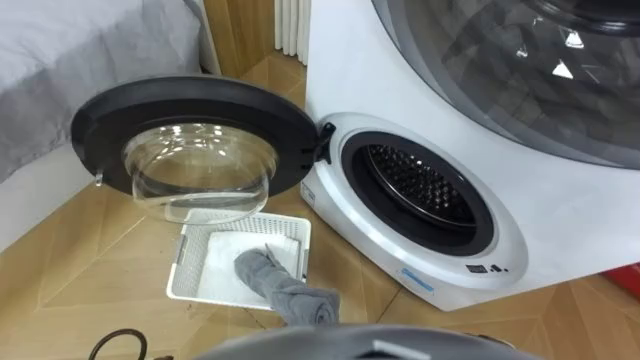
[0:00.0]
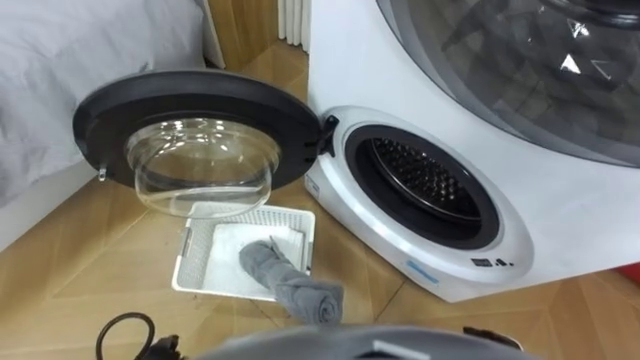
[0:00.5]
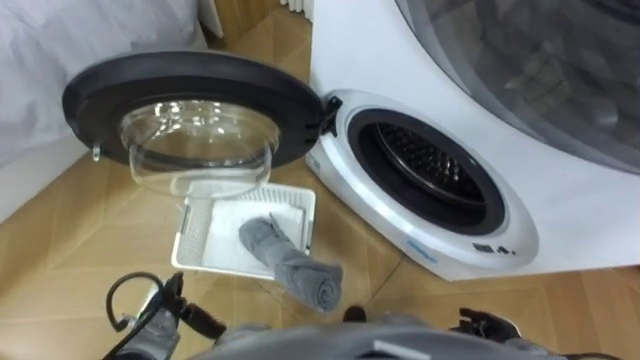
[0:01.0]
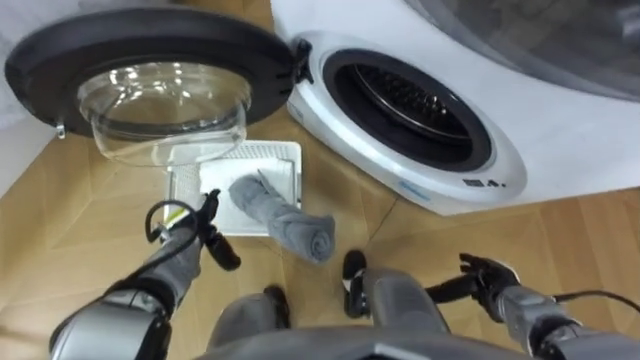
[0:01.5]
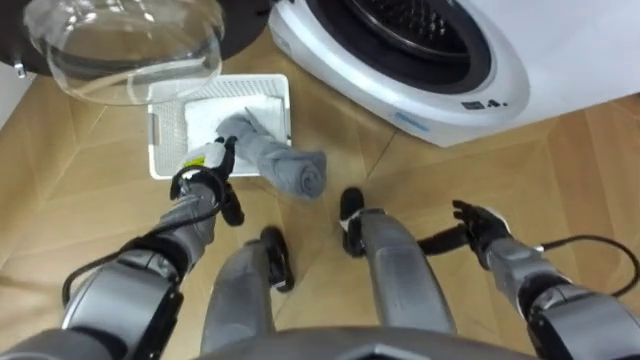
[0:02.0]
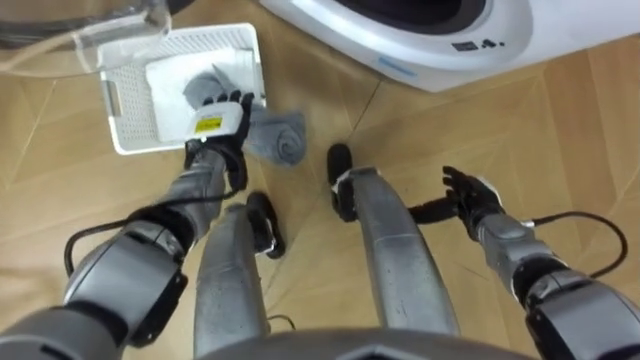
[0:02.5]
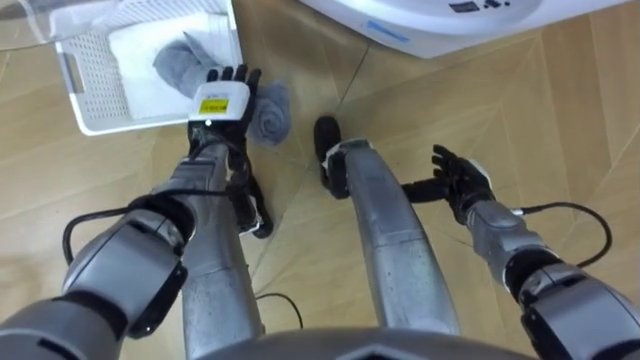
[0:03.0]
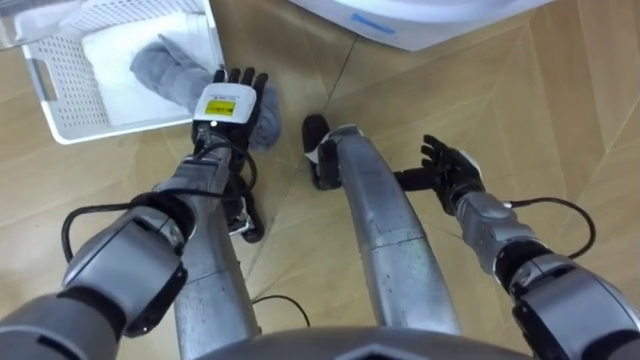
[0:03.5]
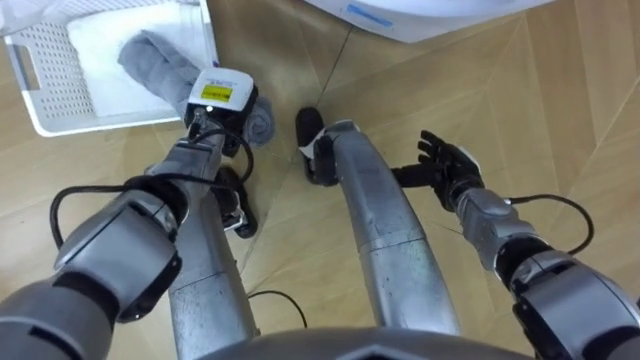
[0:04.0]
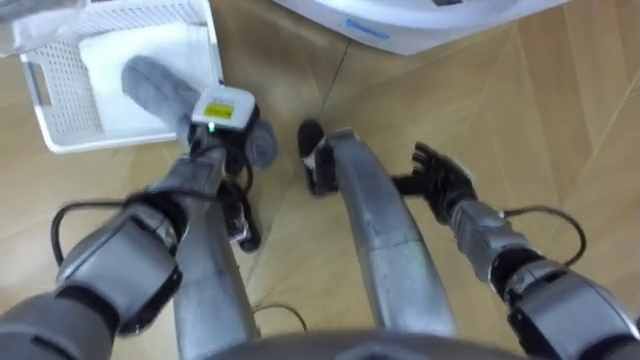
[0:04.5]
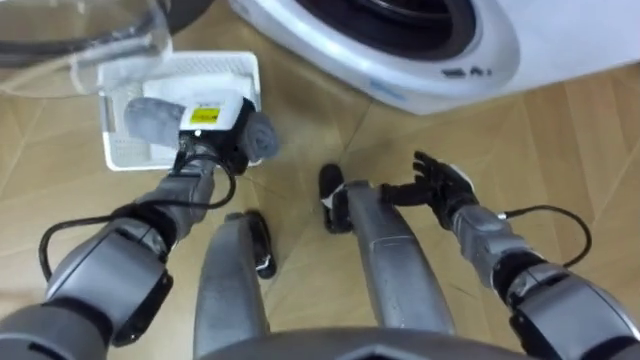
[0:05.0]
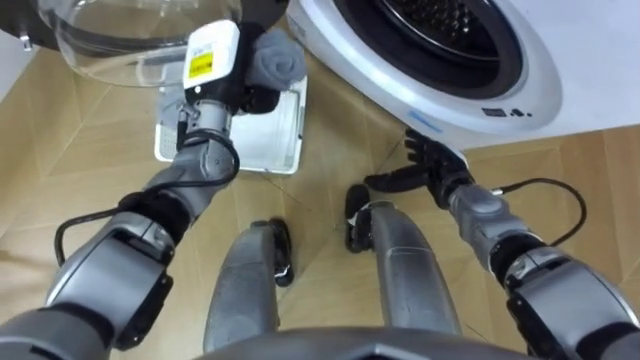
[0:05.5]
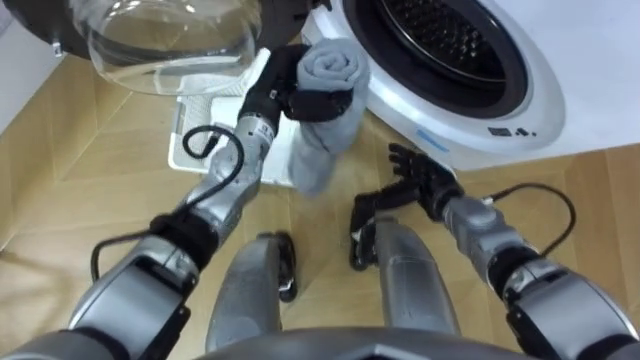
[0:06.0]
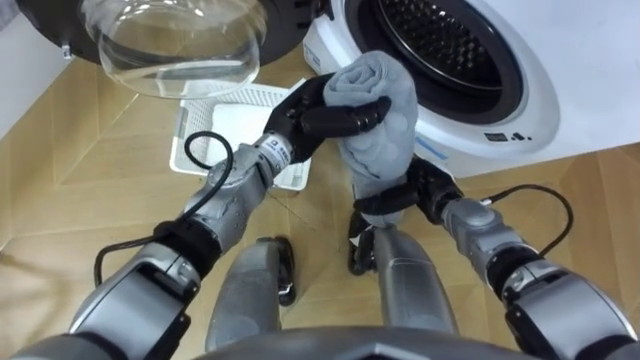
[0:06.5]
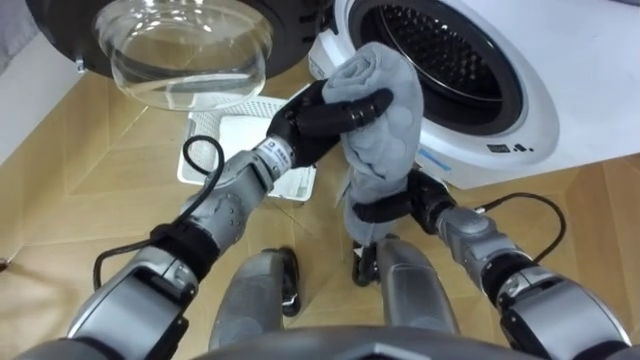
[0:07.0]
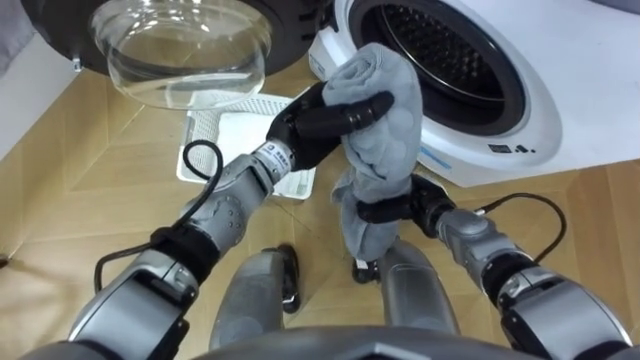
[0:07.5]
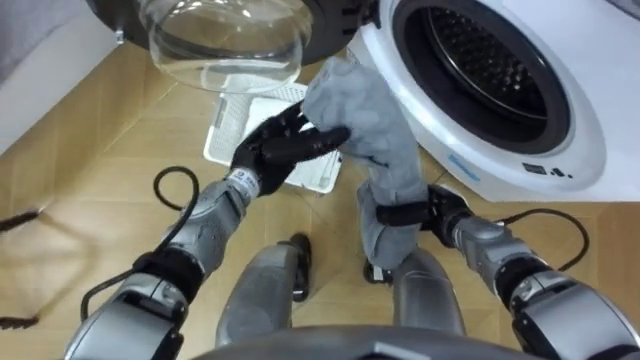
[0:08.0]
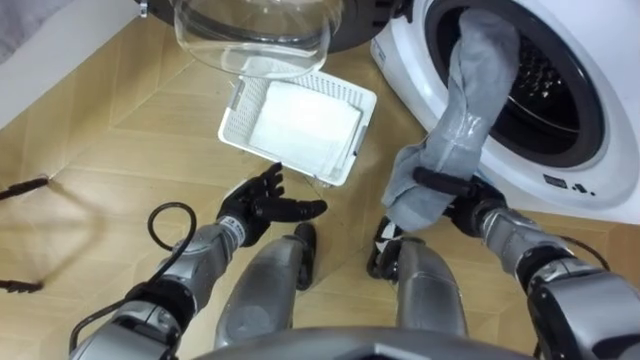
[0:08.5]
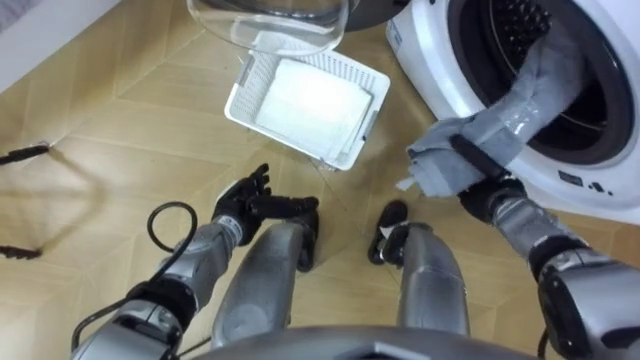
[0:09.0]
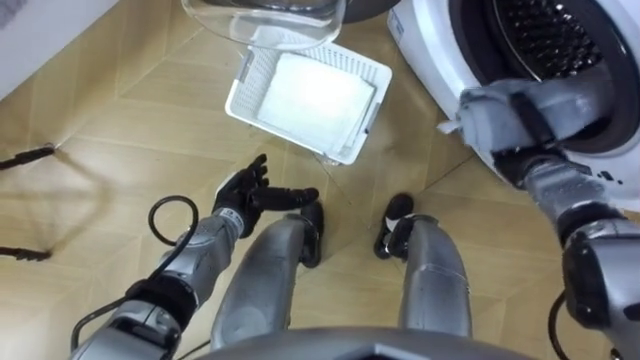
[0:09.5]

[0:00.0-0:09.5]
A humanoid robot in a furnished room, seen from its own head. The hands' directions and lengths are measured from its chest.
Task of the whole recording: Take the towel from the basket and put it into the washing machine.
0:02.0 to 0:04.0: The left hand moves upward and forward, approximately 10 cm, and closes; the right hand travels forward and to the left by about 10 cm.
0:04.0 to 0:05.5: The left hand goes some 5 cm upward.
0:05.5 to 0:07.5: The right hand changes place by roughly 5 cm, and closes. The left hand goes about 15 cm to the right and backward.
0:07.5 to 0:09.5: The left hand moves downward, to the left and backward, approximately 20 cm, and opens. Meanwhile the right hand moves to the right, some 15 cm.

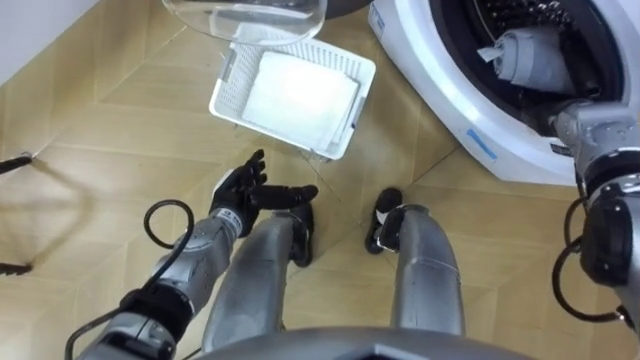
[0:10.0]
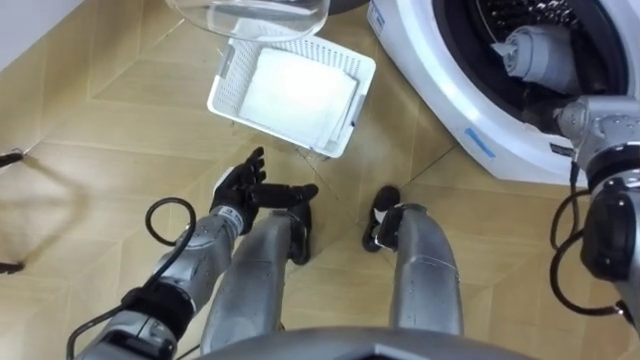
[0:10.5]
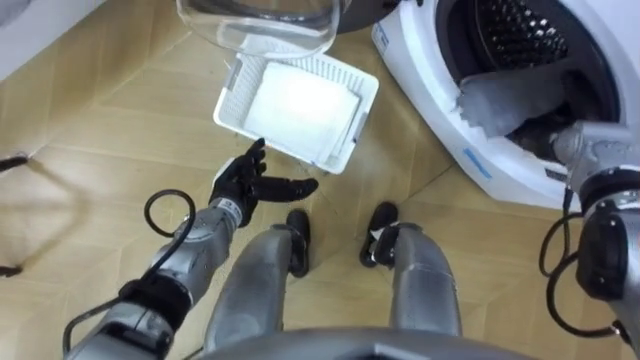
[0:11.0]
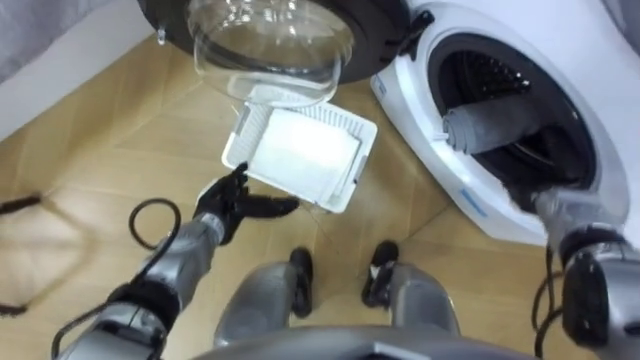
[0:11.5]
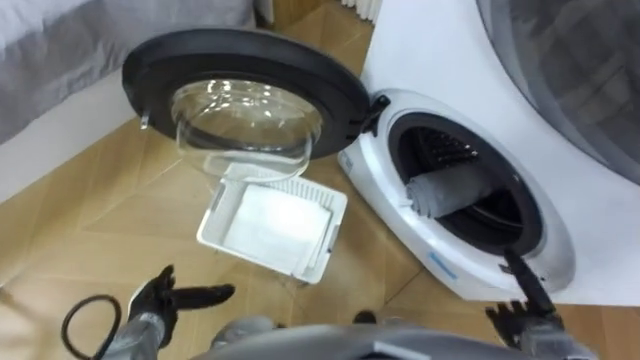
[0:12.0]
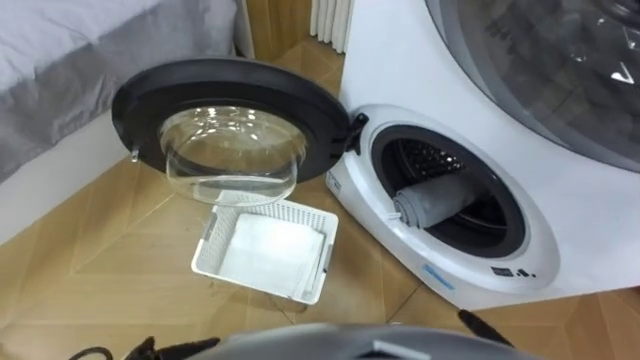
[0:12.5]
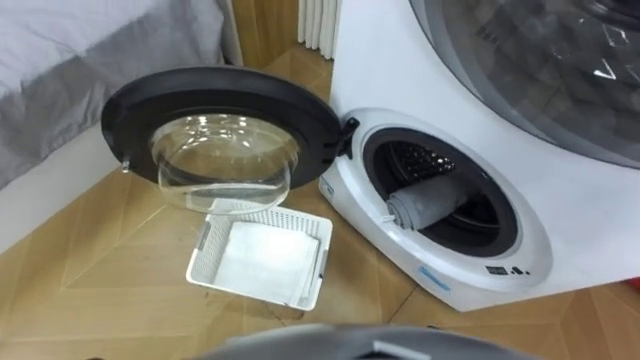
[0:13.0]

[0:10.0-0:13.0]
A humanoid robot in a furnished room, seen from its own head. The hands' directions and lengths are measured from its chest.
Task of the whole recording: Take the towel from the basket and put it into the washing machine.
0:10.0 to 0:11.5: The right hand goes some 15 cm backward and downward.

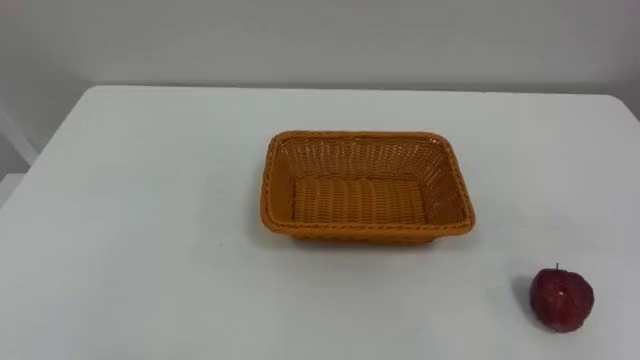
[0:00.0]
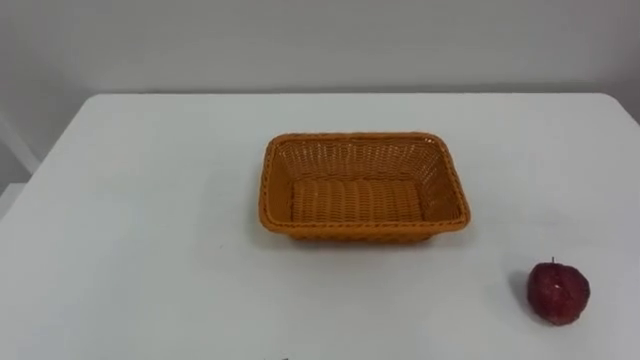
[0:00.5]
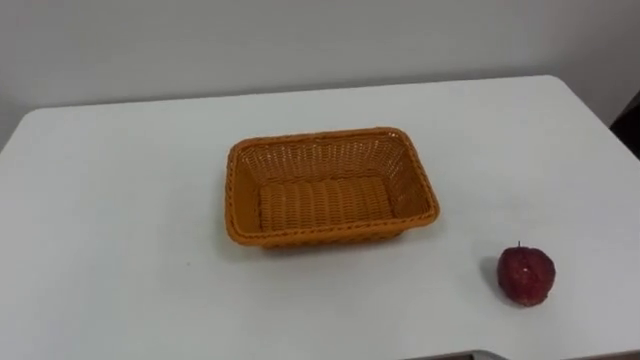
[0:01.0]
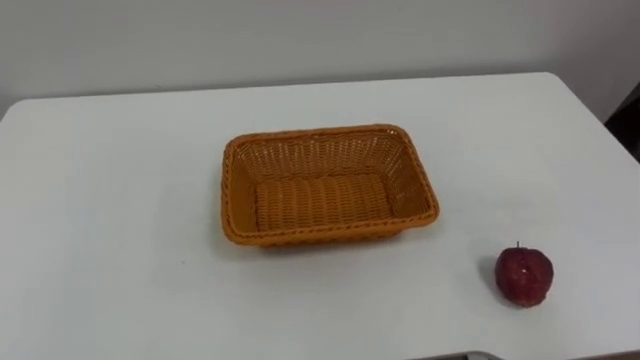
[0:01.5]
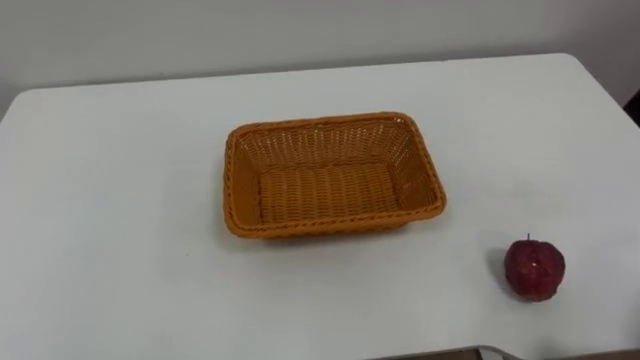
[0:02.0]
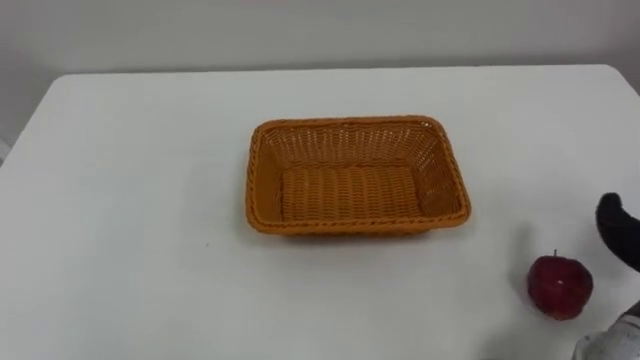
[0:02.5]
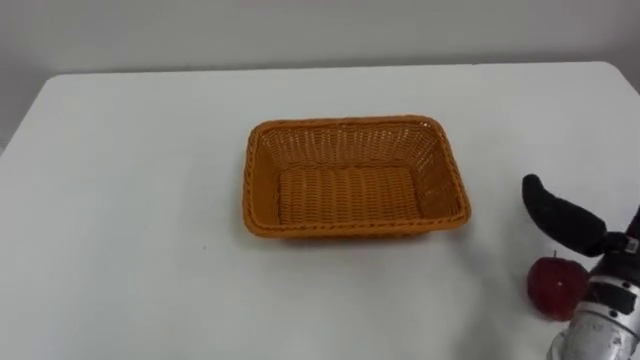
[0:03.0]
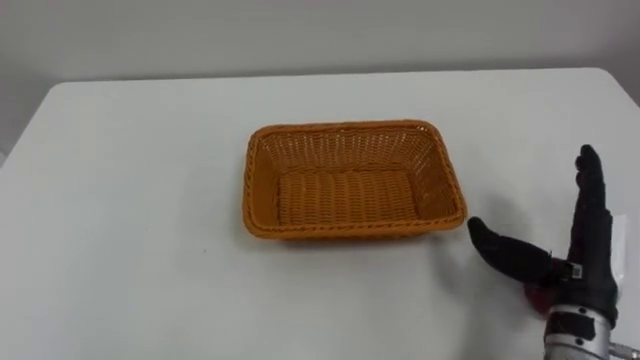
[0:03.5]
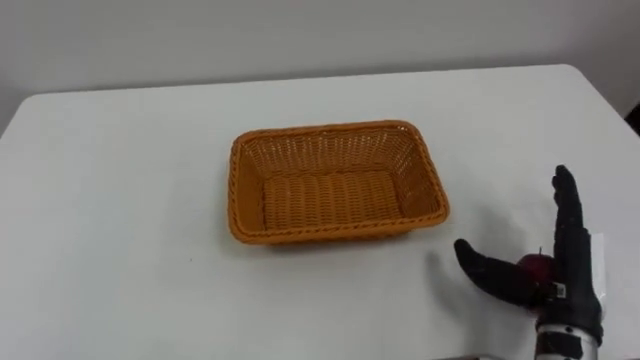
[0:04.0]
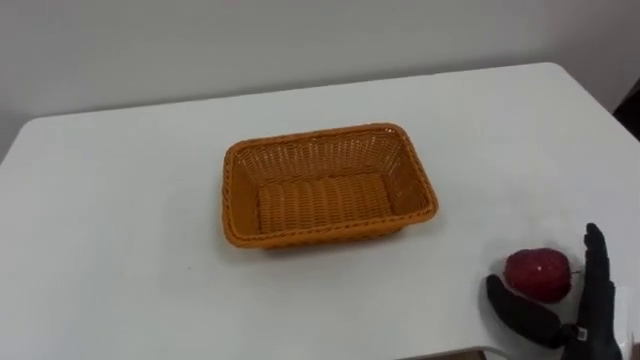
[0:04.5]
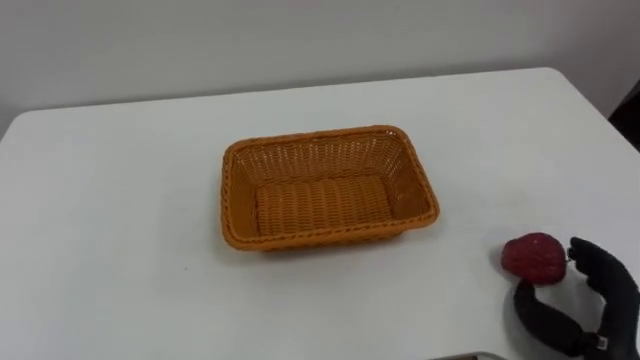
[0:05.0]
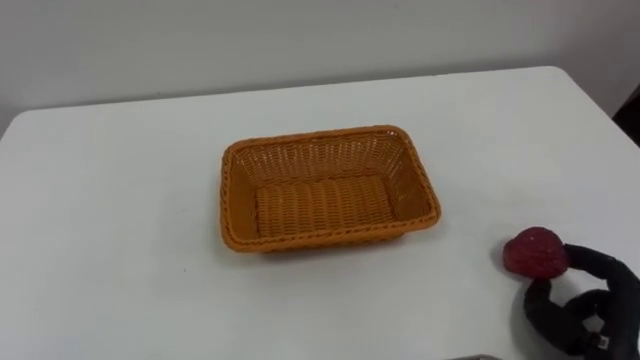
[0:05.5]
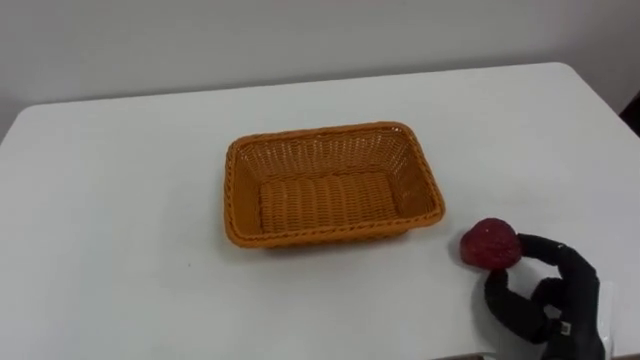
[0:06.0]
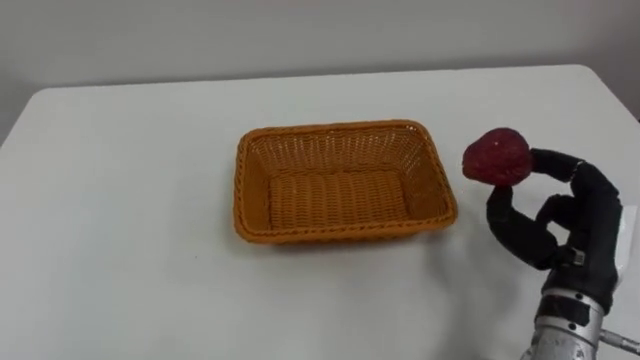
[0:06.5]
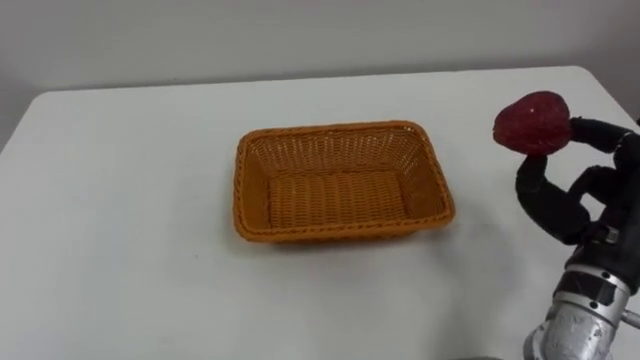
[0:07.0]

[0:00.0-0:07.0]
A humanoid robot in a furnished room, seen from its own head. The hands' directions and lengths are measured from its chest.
Task of the whole recording: Pick the apple and place it in the box.
0:03.5 to 0:05.0: The right hand is displaced downward and backward by approximately 10 cm.
0:05.0 to 0:07.0: The right hand goes approximately 15 cm upward and forward, and closes its fingers.
